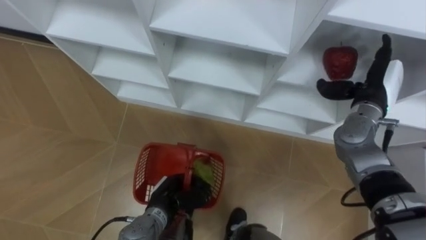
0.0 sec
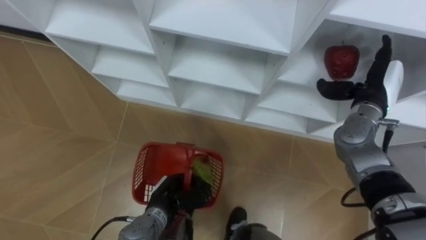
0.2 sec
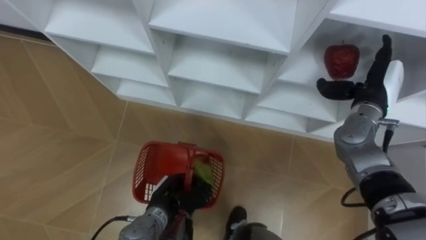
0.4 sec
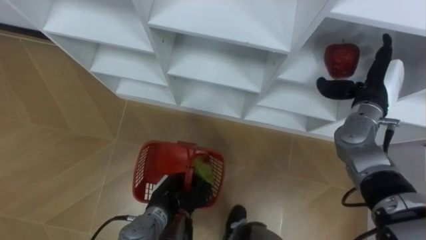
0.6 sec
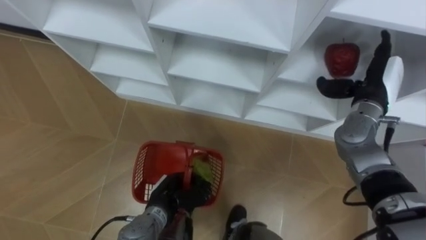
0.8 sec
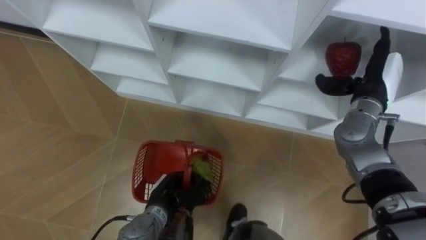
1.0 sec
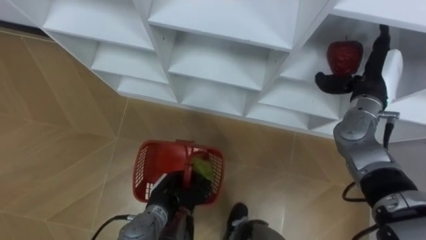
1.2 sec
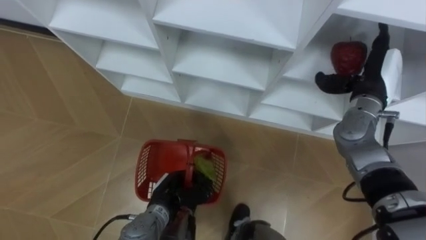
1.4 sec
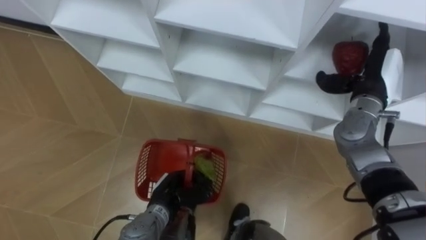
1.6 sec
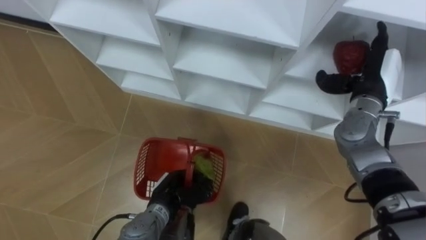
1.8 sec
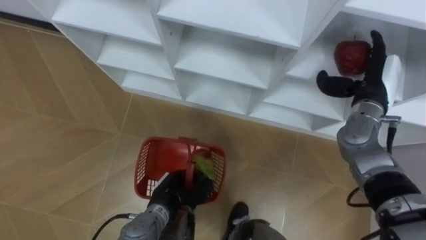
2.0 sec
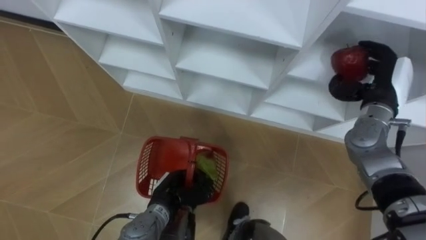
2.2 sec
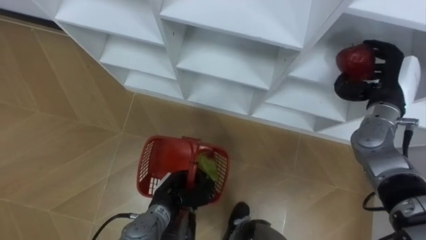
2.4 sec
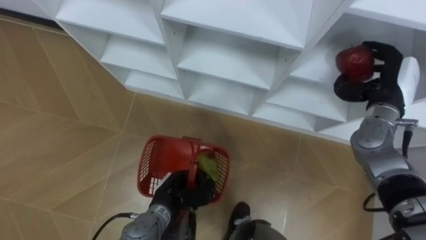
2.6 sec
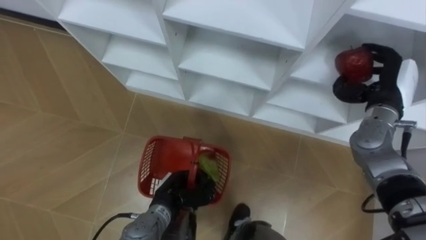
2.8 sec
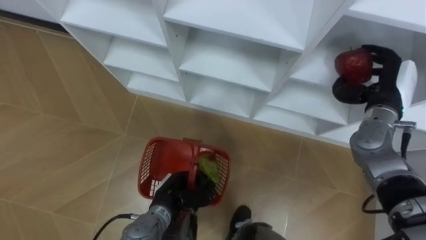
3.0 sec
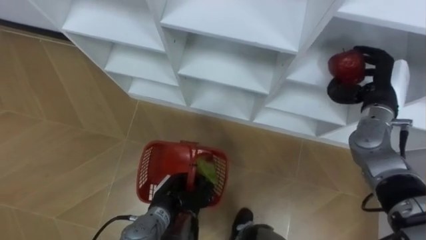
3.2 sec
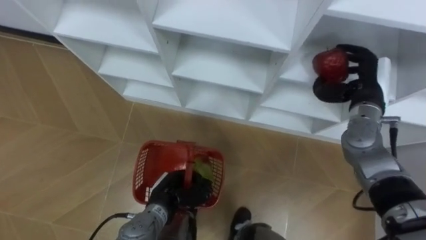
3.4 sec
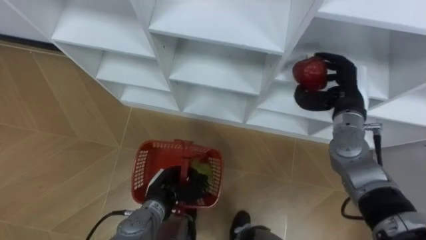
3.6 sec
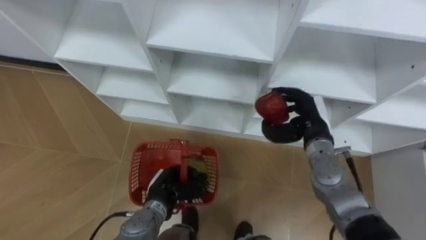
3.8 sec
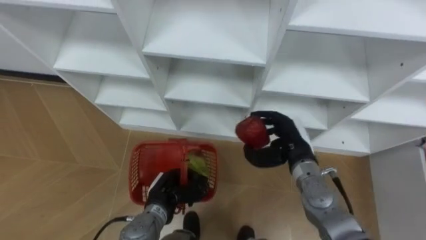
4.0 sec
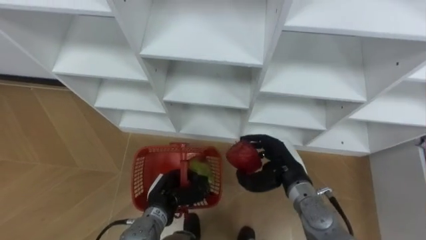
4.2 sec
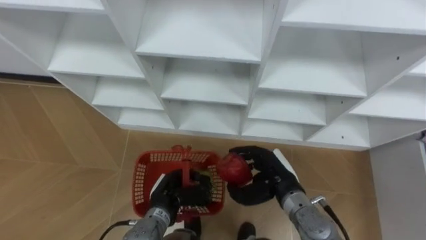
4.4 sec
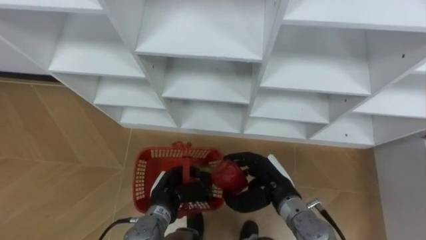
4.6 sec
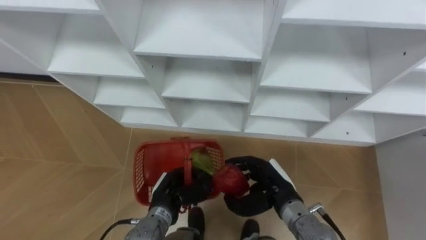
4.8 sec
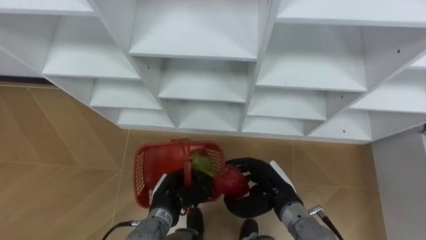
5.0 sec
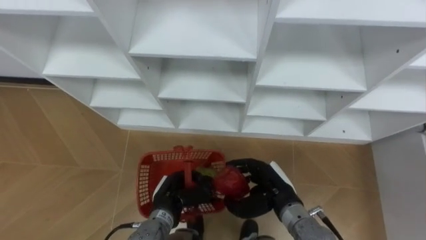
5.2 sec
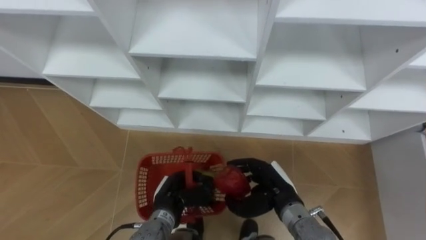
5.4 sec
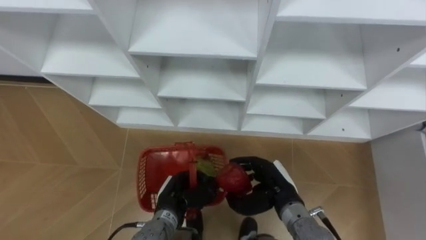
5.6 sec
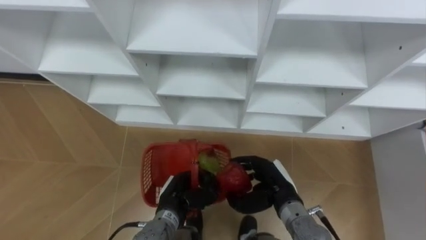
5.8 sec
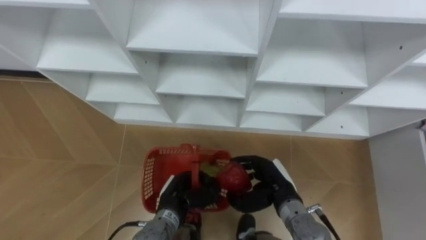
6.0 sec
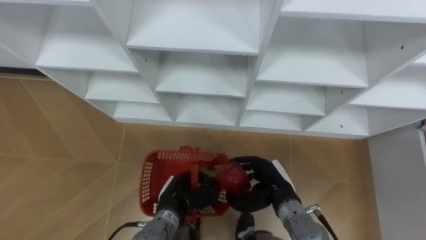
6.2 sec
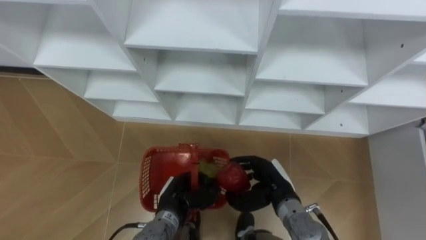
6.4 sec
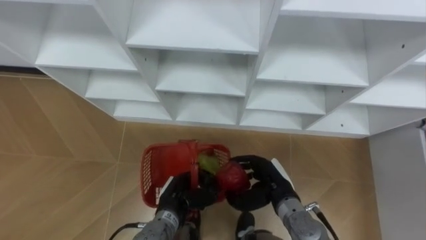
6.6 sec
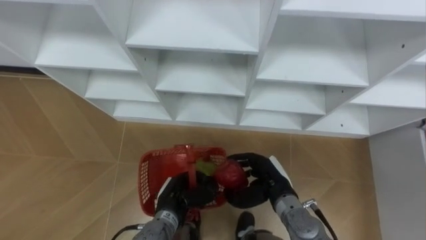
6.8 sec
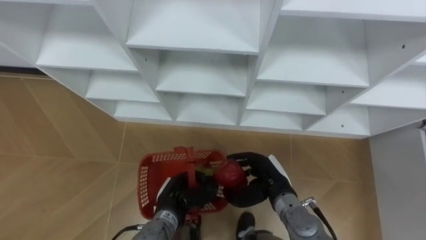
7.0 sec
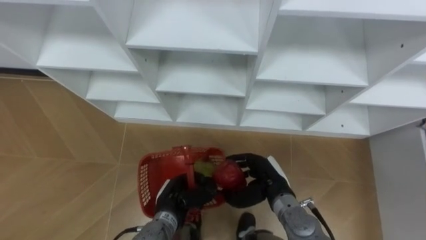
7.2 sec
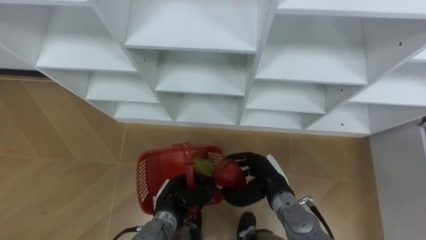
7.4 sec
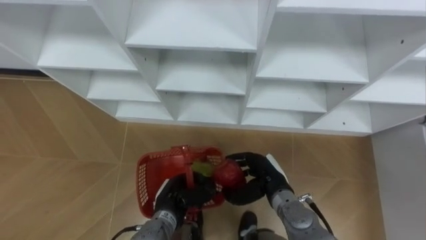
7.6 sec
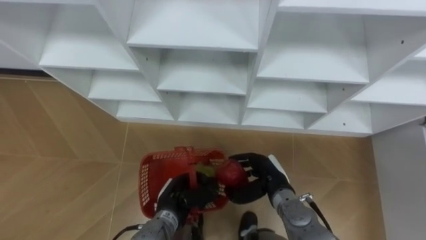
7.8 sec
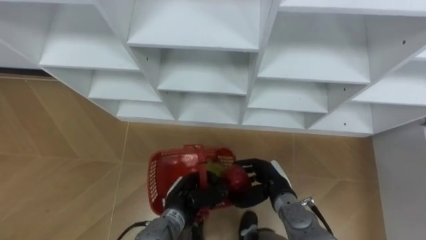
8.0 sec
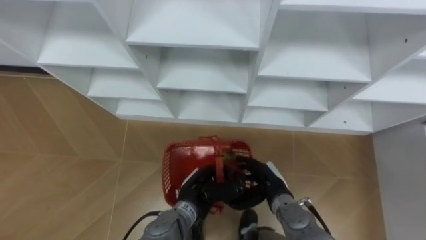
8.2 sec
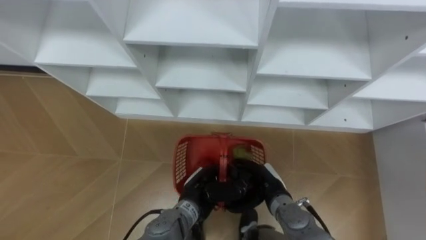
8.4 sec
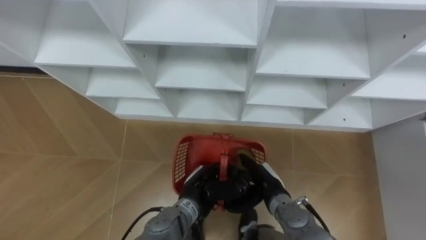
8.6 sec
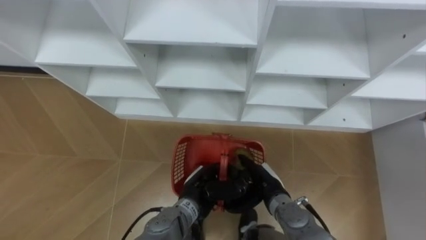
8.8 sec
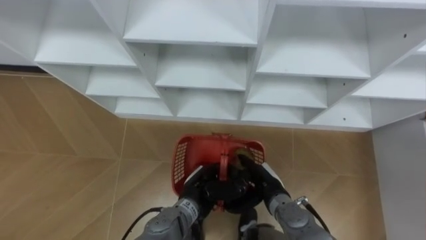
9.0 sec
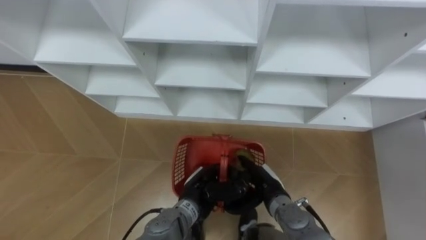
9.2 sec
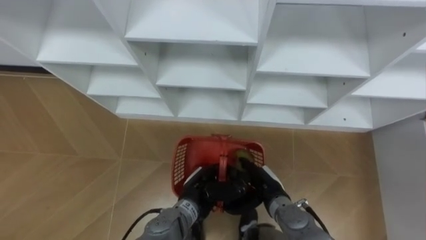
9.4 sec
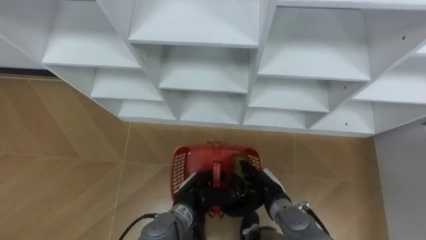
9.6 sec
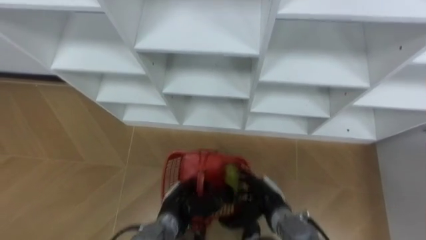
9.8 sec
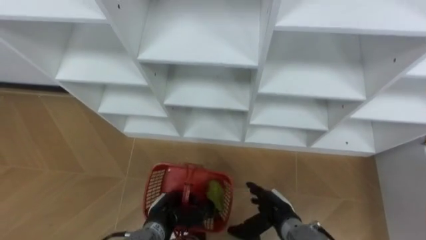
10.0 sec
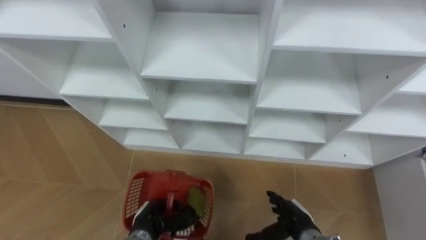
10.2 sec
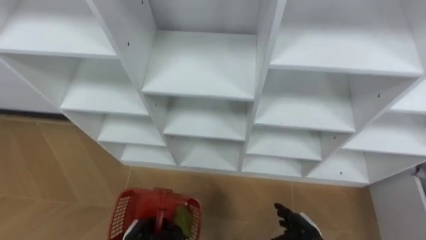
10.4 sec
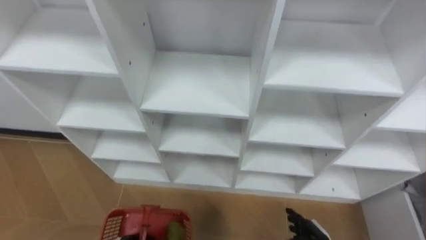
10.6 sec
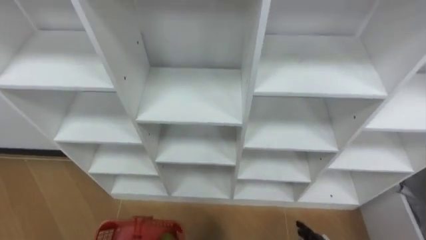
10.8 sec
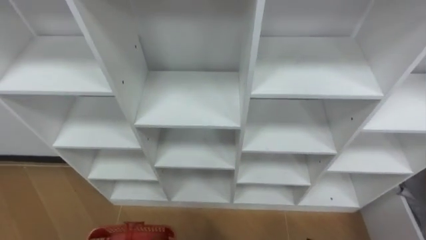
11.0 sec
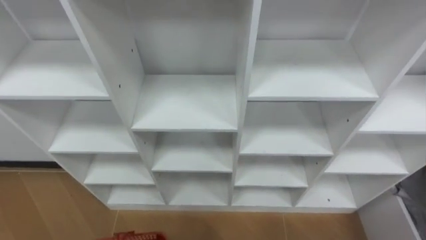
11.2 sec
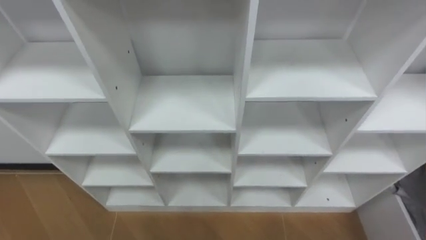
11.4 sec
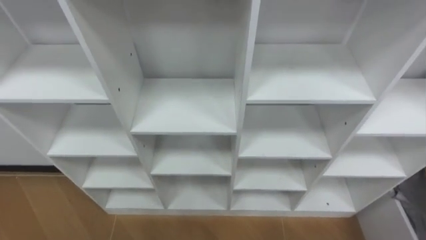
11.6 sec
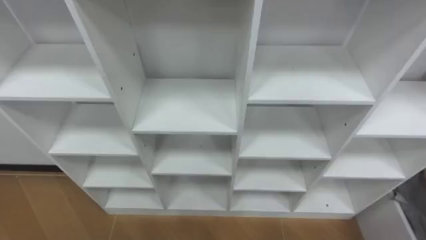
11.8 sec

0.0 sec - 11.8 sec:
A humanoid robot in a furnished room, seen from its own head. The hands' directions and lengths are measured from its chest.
Task of the whole recording: Hold the basket and collect the fruits from 3 different cells of the closet into it.
1.4 sec - 3.0 sec: The right hand closes.
3.0 sec - 4.4 sec: The right hand moves to the left, downward and backward, approximately 25 cm.
6.0 sec - 7.4 sec: The hands make only small movements.
7.4 sec - 8.8 sec: The right hand opens, while the left hand moves to the right, roughly 5 cm.
8.8 sec - 10.4 sec: The left hand travels to the left, downward and backward by roughly 20 cm. The right hand travels to the right, backward and downward by approximately 15 cm.

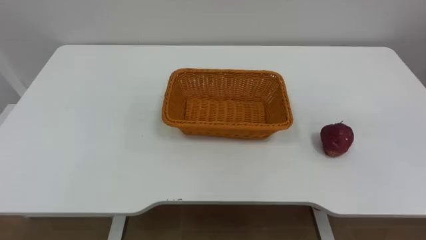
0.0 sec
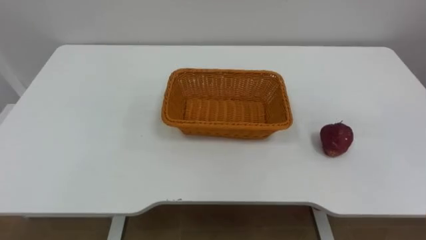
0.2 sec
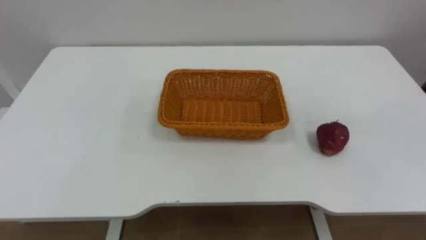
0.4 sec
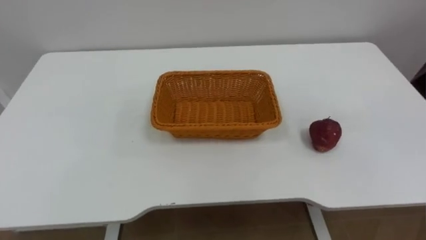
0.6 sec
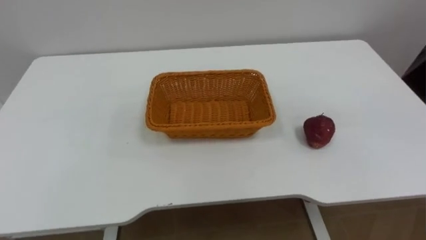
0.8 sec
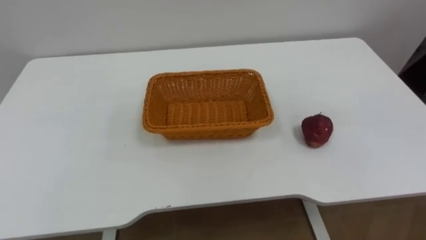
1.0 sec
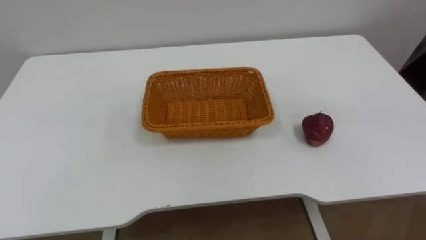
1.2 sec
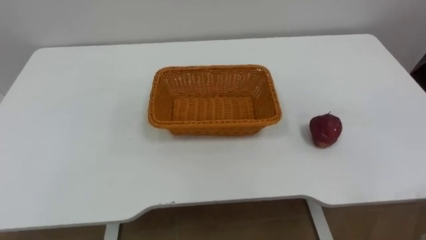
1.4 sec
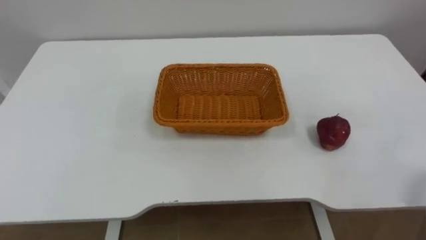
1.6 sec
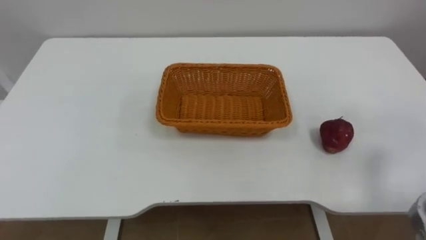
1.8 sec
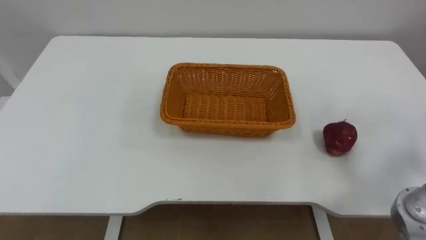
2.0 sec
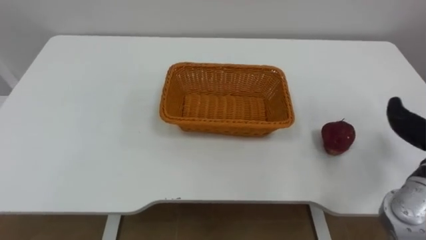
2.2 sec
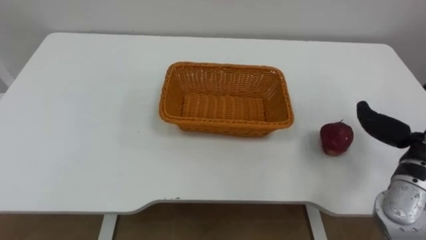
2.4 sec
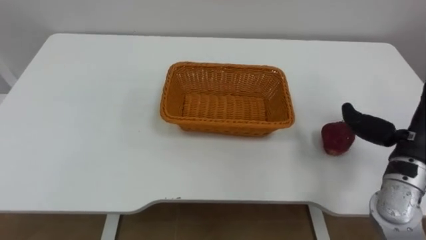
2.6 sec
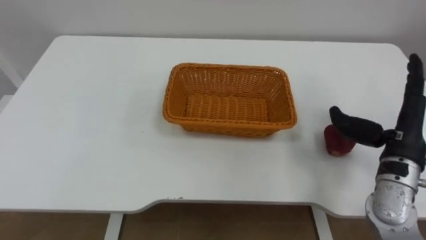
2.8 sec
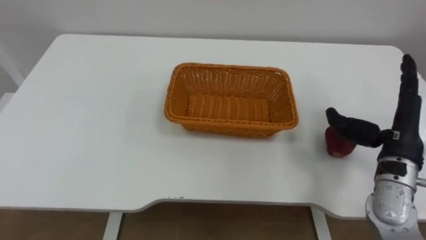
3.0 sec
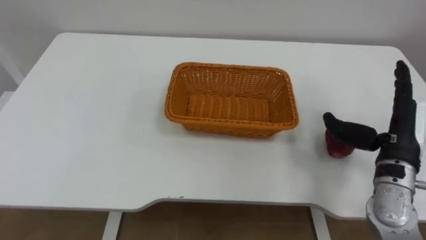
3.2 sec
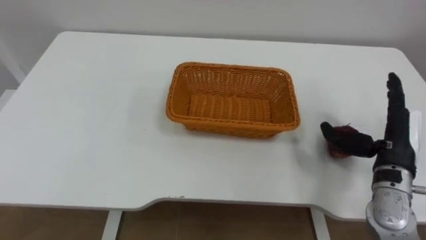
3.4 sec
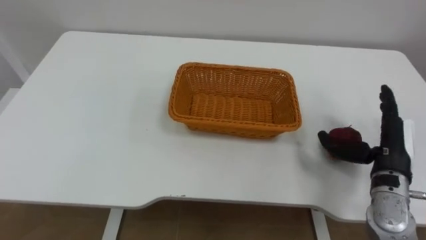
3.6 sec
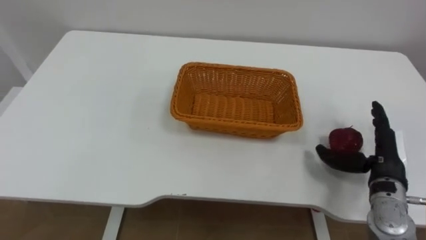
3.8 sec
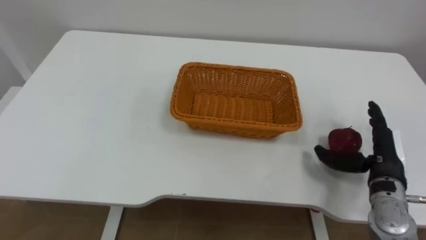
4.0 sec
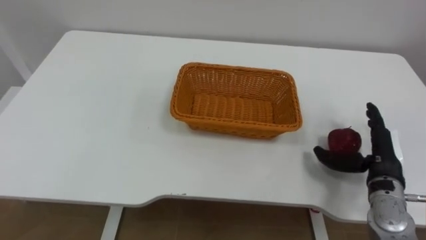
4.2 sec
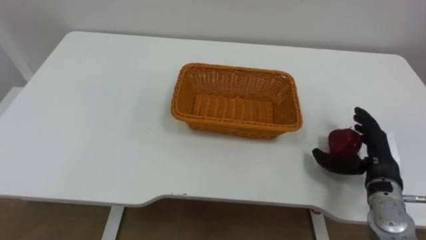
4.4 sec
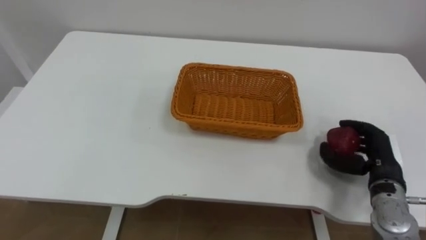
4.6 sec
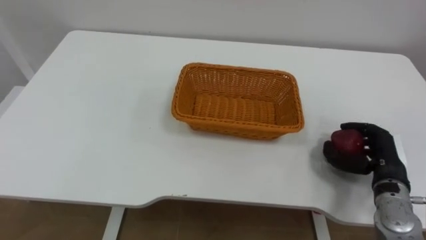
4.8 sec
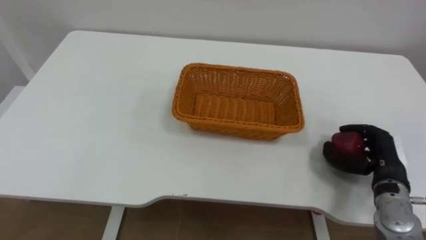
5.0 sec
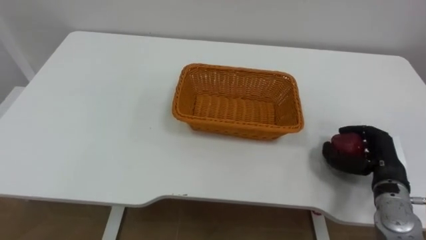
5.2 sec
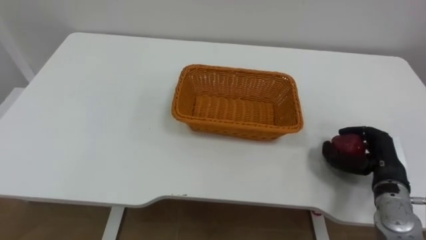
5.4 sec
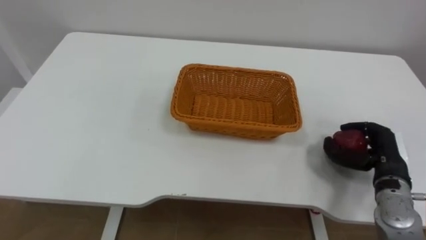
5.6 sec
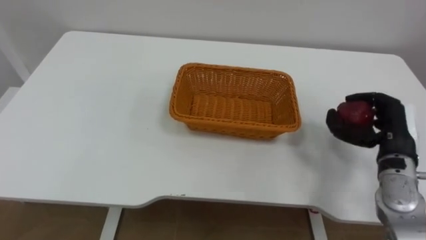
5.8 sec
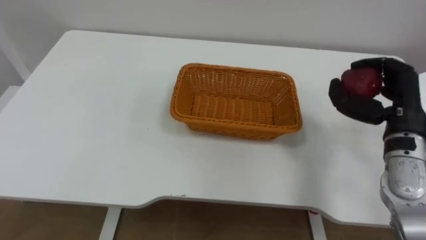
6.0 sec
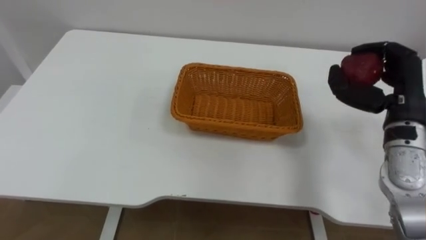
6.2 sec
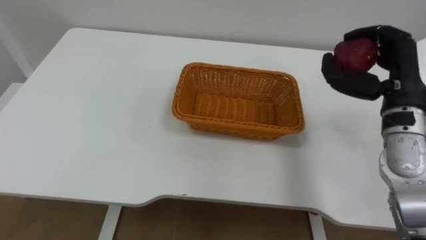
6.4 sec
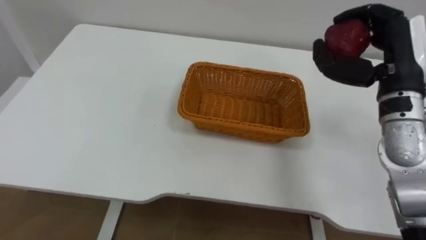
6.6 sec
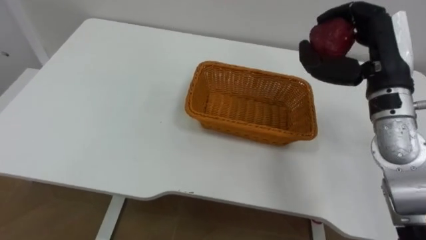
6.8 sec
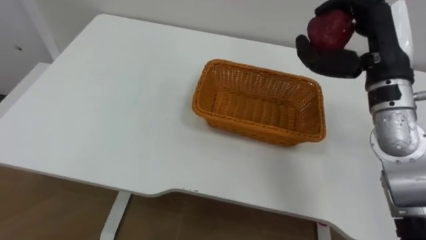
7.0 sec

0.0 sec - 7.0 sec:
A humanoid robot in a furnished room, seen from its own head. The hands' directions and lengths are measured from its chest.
Task of the whole recording: Pick the apple and place it in the box.
2.8 sec - 4.2 sec: The right hand travels downward by about 10 cm.
4.2 sec - 5.6 sec: The right hand closes up.
5.6 sec - 7.0 sec: The right hand is displaced upward by roughly 20 cm.
